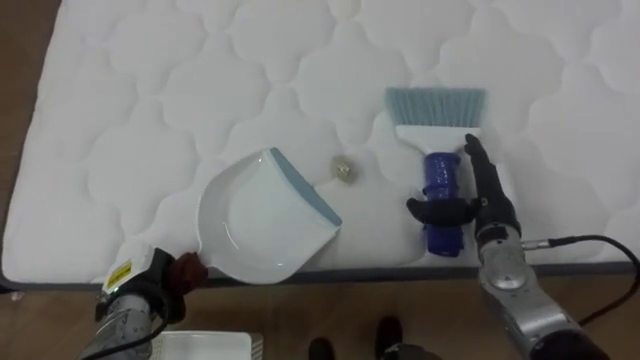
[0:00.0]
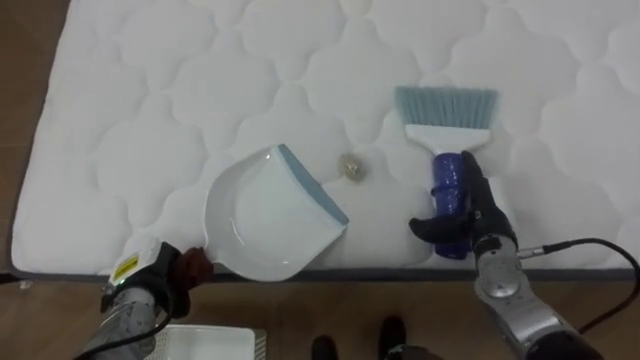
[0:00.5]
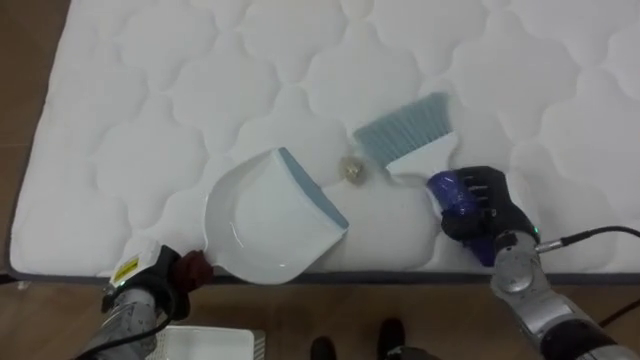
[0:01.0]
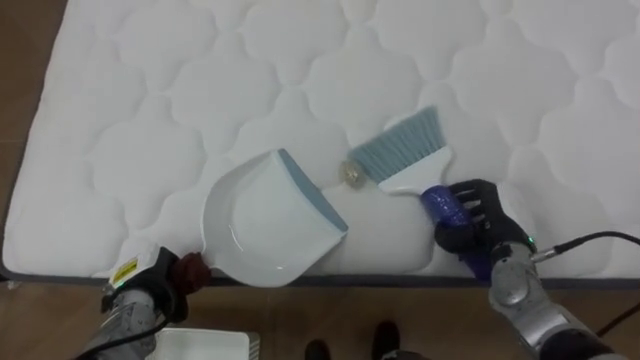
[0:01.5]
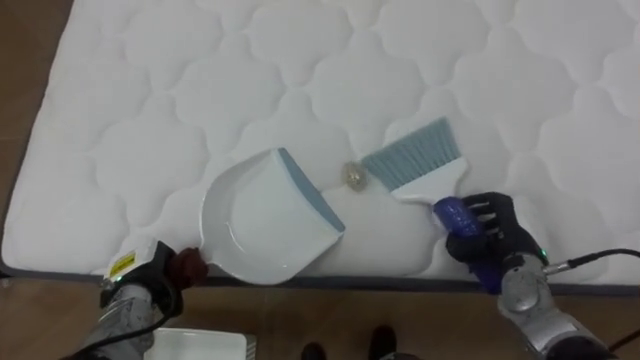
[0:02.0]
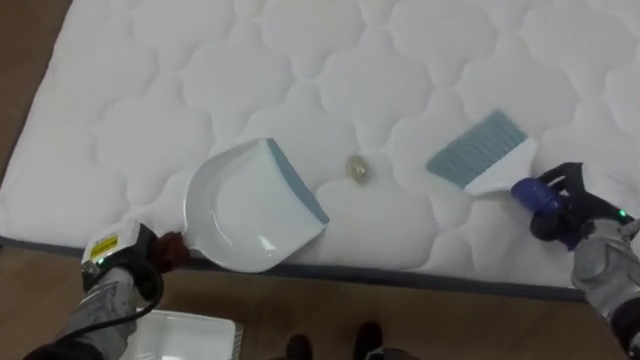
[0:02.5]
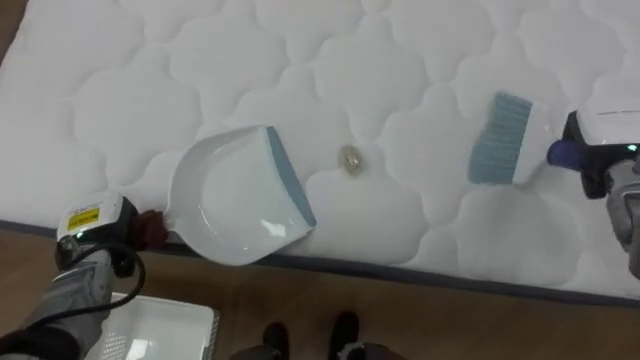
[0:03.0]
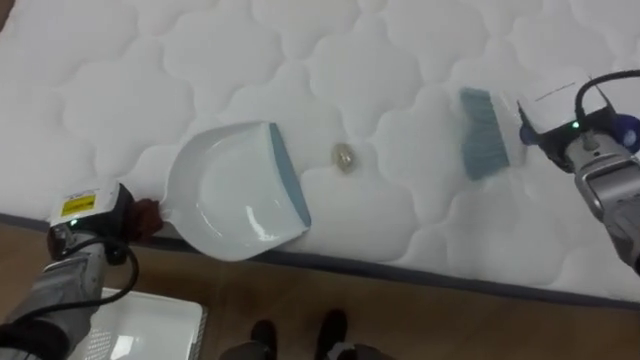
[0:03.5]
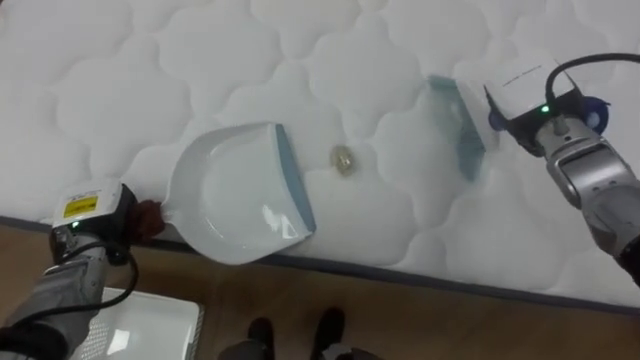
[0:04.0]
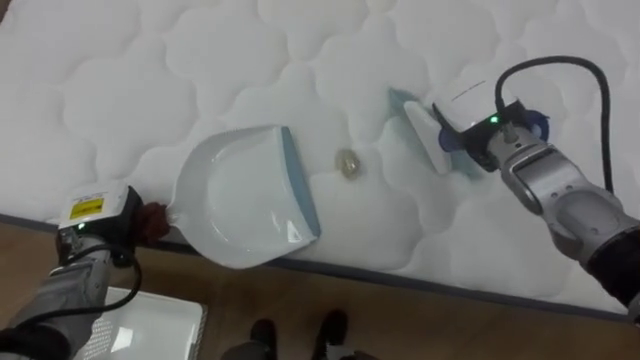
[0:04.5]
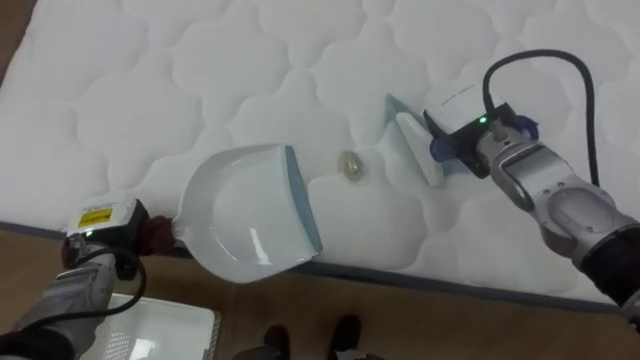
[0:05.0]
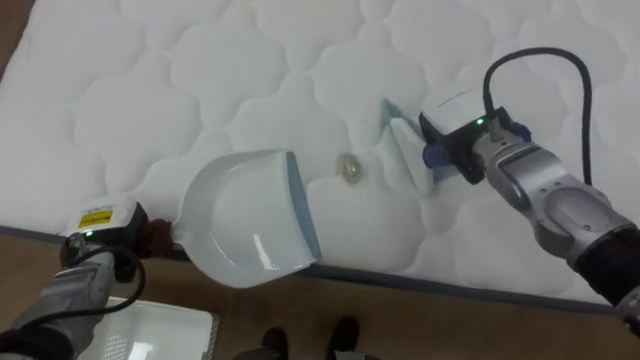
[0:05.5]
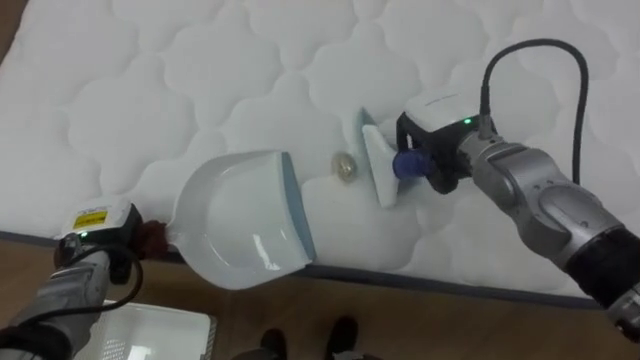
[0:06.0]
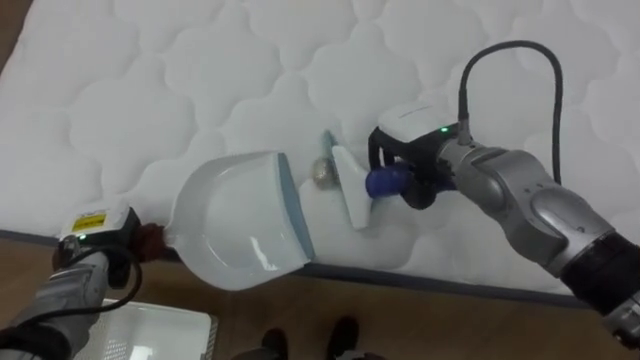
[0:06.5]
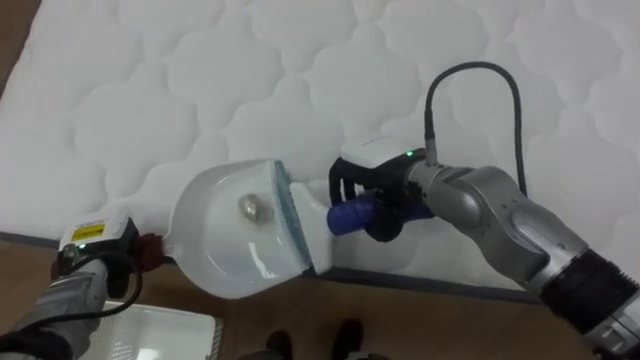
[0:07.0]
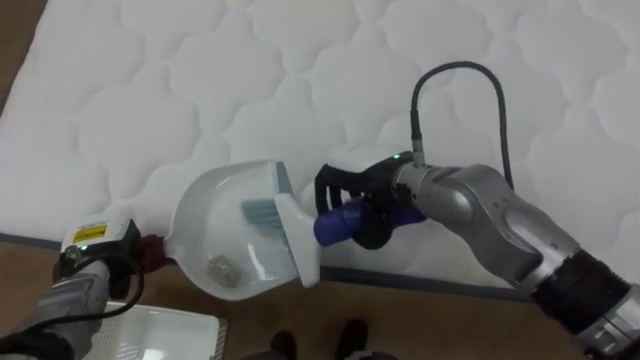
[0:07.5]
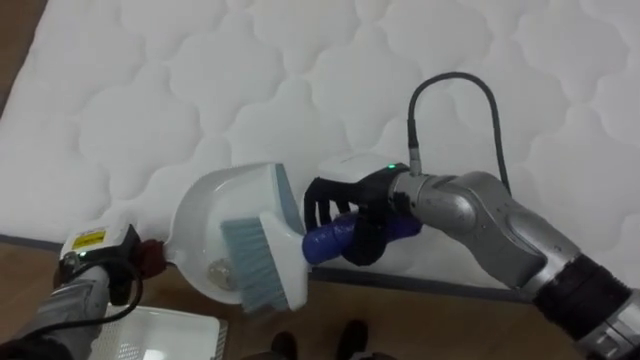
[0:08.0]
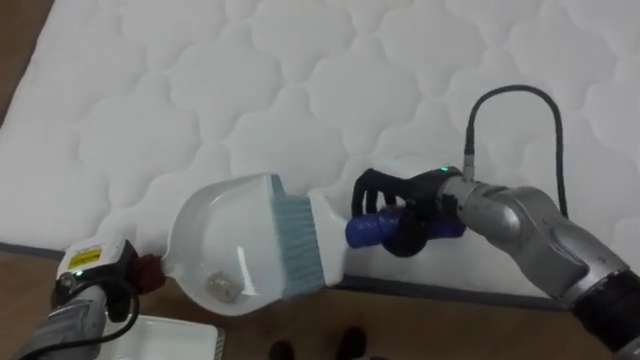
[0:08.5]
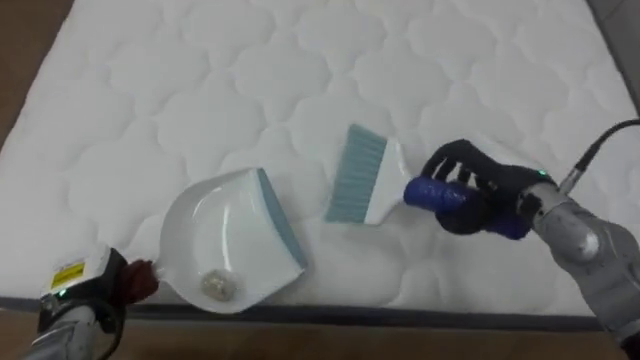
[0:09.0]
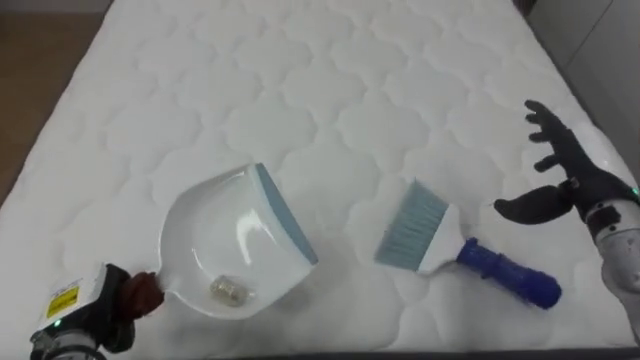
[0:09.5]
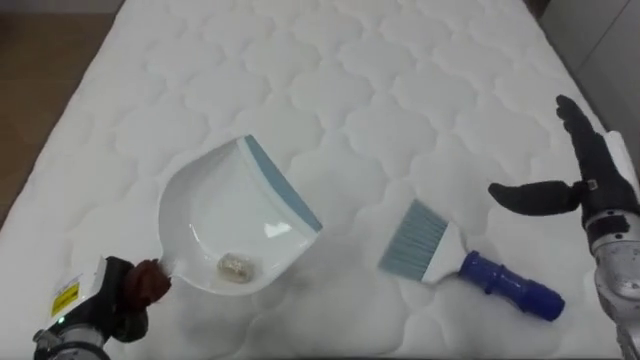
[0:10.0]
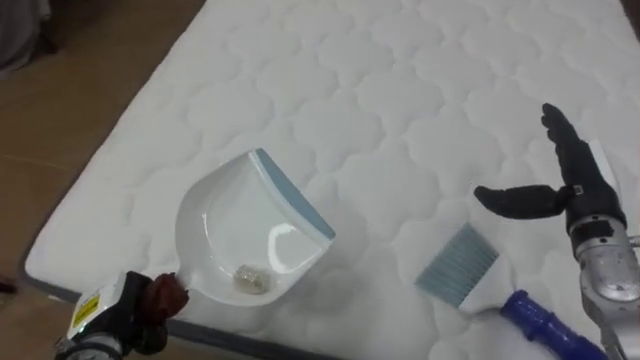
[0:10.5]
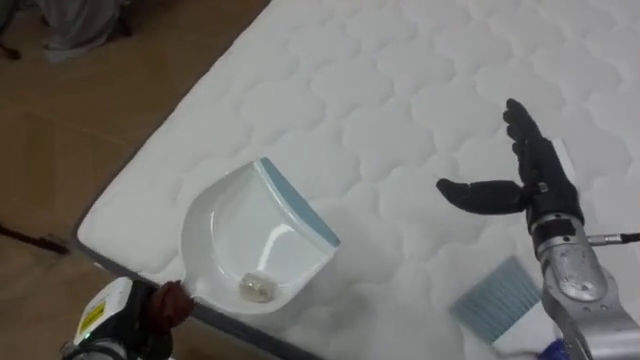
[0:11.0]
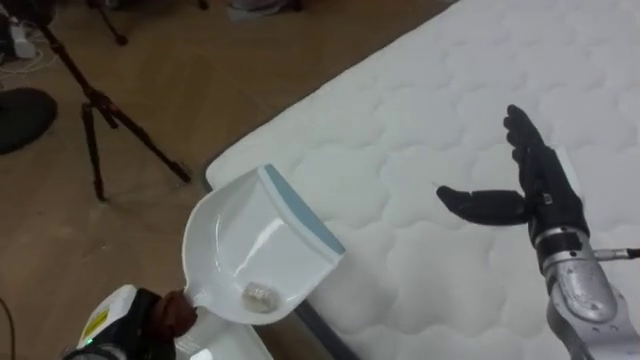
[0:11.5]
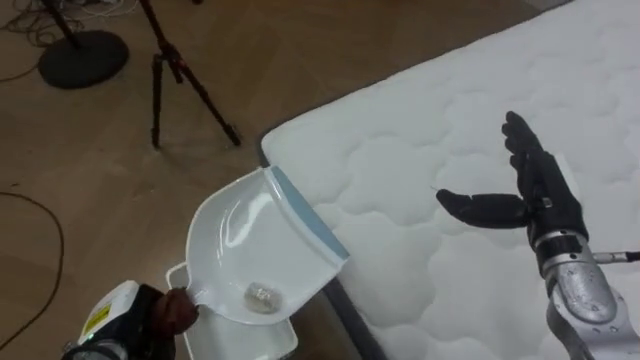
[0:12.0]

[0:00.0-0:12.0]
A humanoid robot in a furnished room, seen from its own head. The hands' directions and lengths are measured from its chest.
Task of the whole recording: Pick up the brush on your right and the dustpan on your left. Use the brush to sweep the crumpled paper on the bed into the dustpan, then turn left and empty it into the basket.
0:00.0 to 0:02.0: The right hand is displaced downward by approximately 5 cm, and closes up.
0:02.0 to 0:04.0: The right hand travels upward and forward by roughly 20 cm; the left hand goes roughly 10 cm upward.
0:04.0 to 0:06.0: The right hand shifts roughly 10 cm to the left.
0:06.0 to 0:08.0: The right hand travels to the left and backward by approximately 15 cm.
0:08.0 to 0:10.0: The right hand travels to the right by approximately 30 cm, and opens its fingers, while the left hand heads backward, covering some 10 cm.
0:10.0 to 0:12.0: The robot turns to its left by approximately 60 degrees. The right hand heads to the left, covering approximately 5 cm.

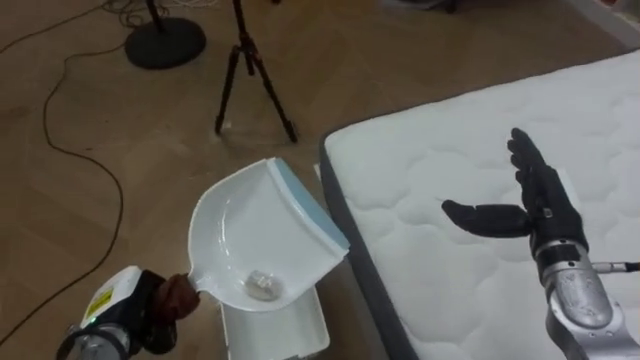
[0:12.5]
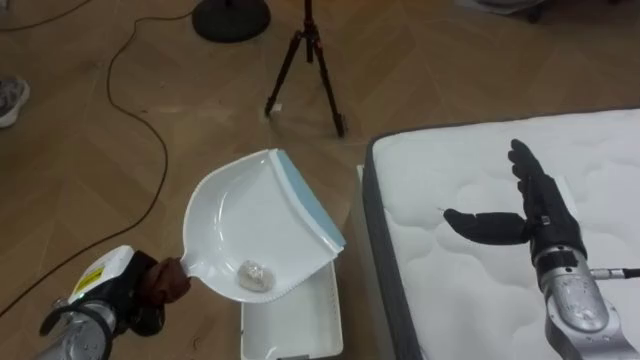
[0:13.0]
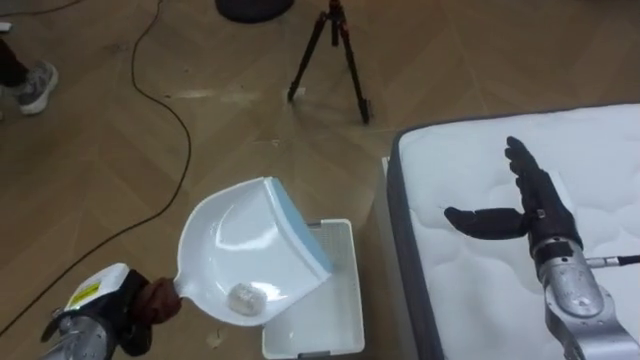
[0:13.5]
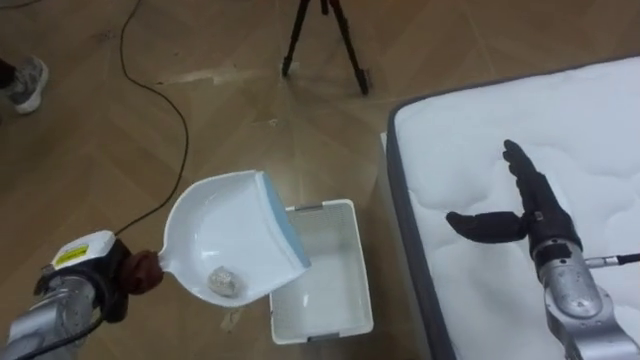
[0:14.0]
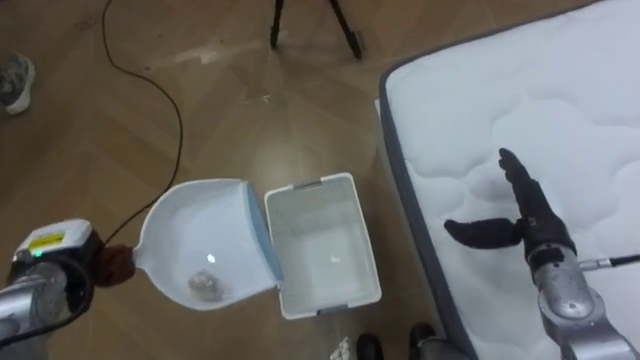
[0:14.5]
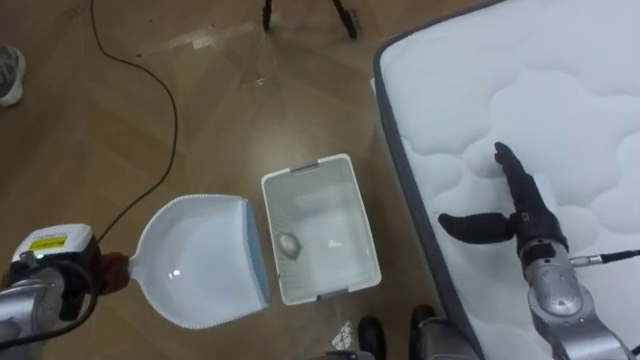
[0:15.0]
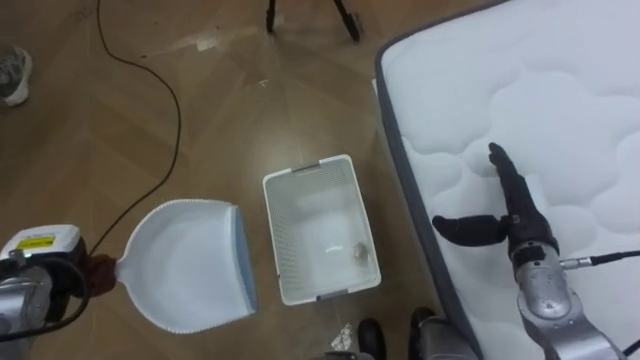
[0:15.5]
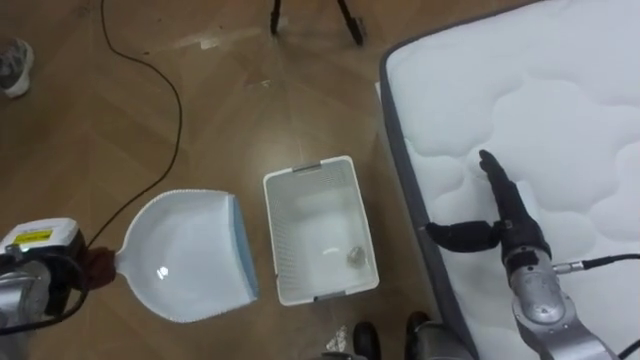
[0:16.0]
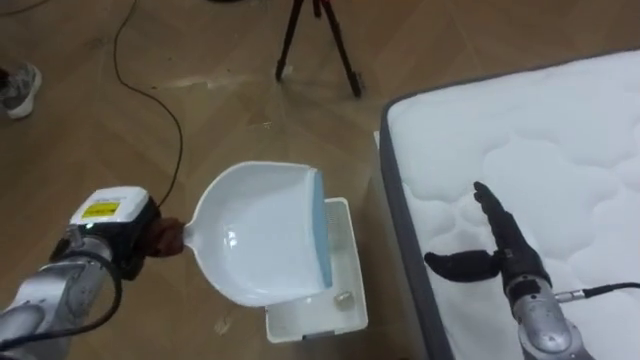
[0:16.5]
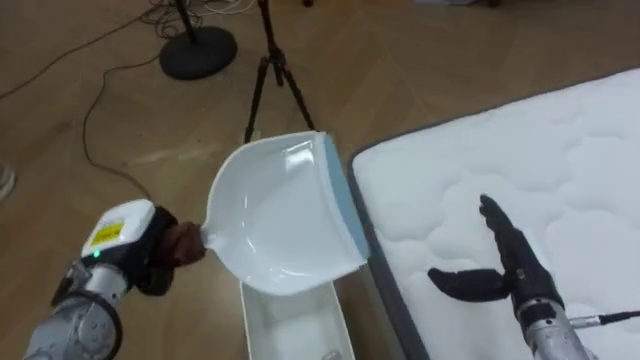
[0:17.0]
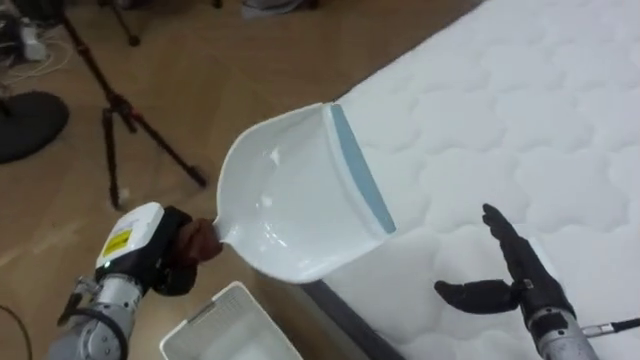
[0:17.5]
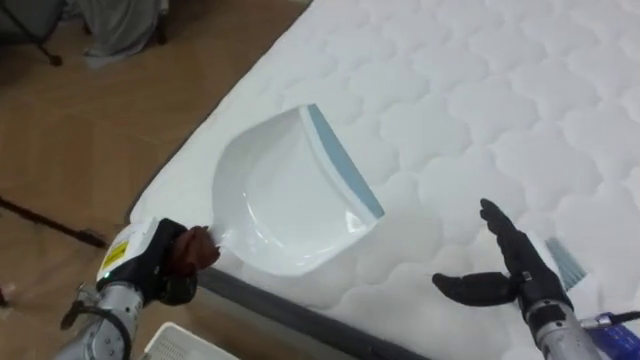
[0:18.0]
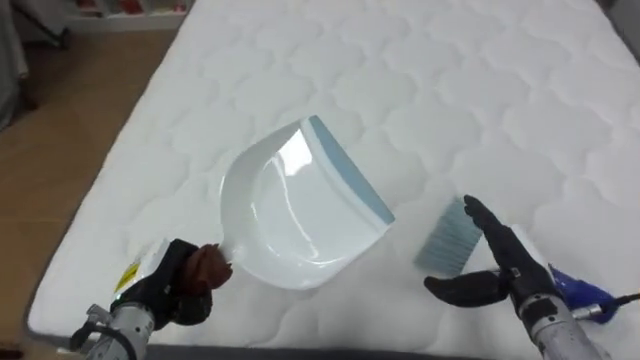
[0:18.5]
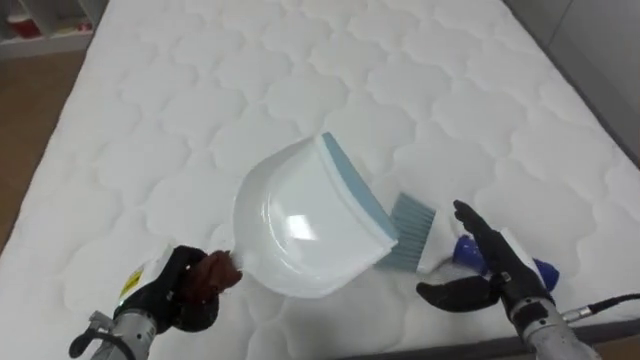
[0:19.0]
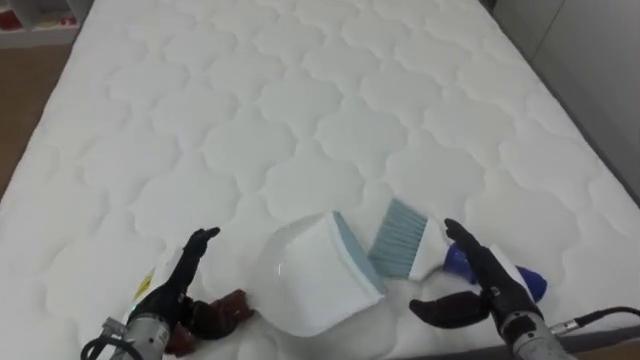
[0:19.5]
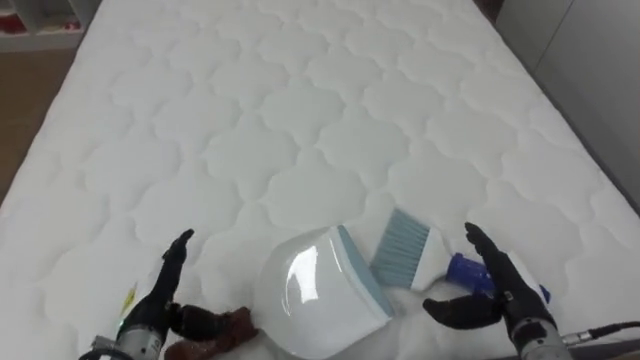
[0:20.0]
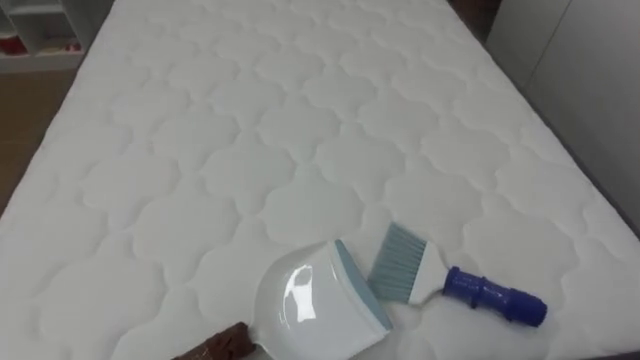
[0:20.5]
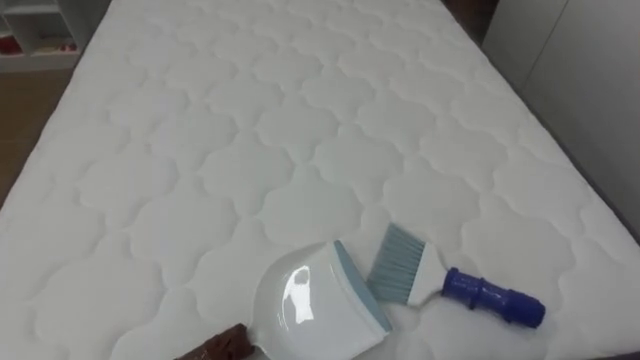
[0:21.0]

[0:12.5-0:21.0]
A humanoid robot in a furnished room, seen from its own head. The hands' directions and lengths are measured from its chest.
Task of the whole recording: Pick up the brush on your right and the dustpan on your left. Use the brush to sweep the crumpled paper on the bed into the dustpan, then turn left and empty it into the basket.
0:12.5 to 0:14.5: The left hand moves to the left and forward, about 10 cm.
0:14.5 to 0:16.5: The right hand moves about 5 cm; the left hand travels to the right by about 5 cm.
0:16.5 to 0:19.0: The robot's body swings some 90 degrees to its right. The left hand moves backward and to the right, approximately 10 cm.
